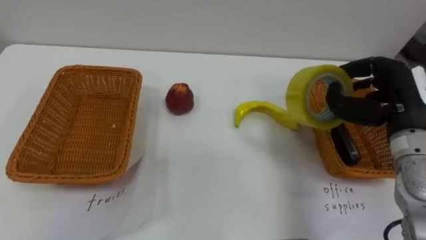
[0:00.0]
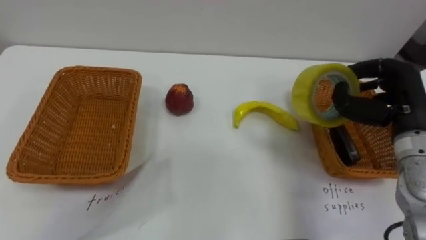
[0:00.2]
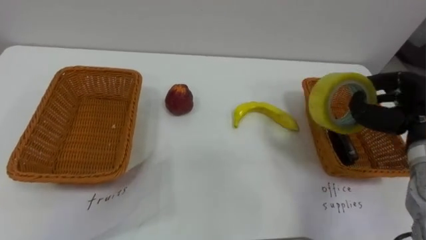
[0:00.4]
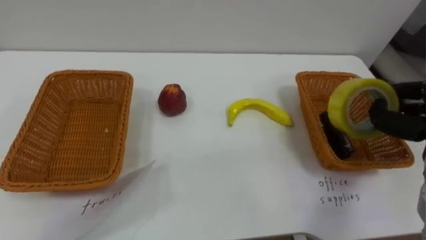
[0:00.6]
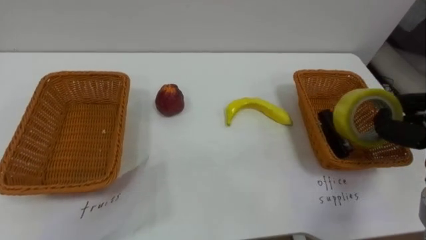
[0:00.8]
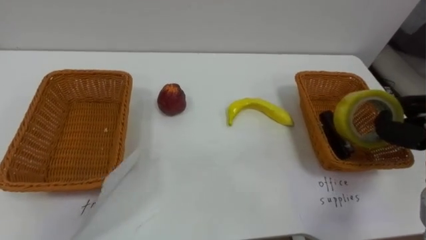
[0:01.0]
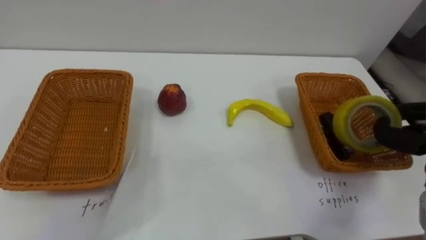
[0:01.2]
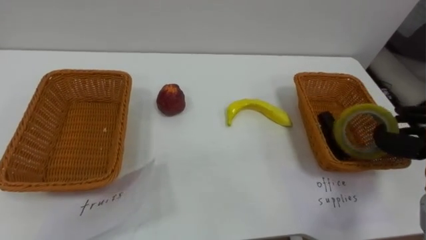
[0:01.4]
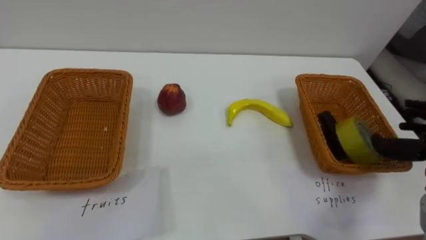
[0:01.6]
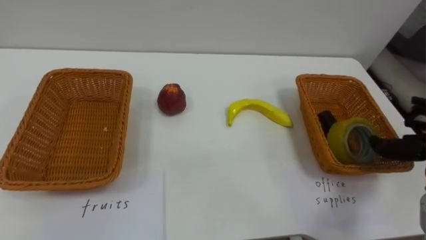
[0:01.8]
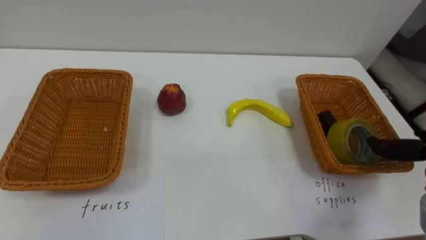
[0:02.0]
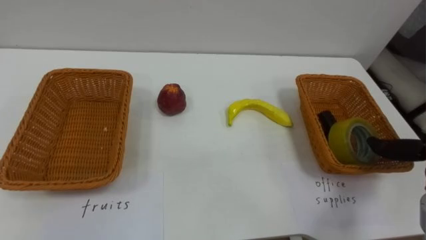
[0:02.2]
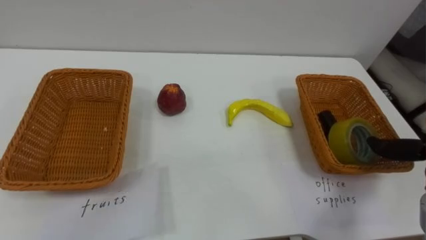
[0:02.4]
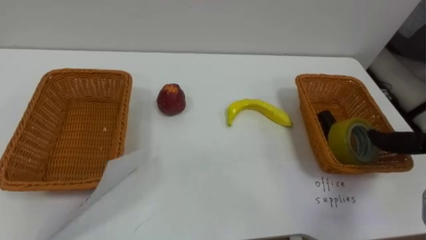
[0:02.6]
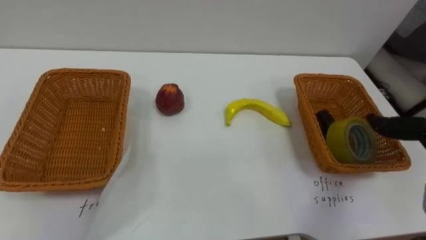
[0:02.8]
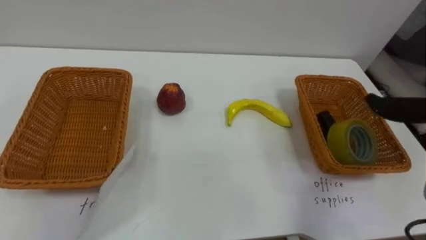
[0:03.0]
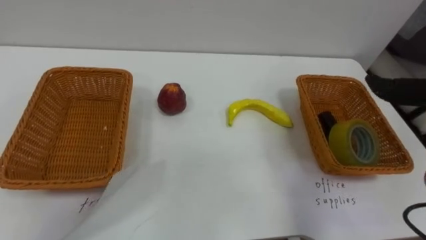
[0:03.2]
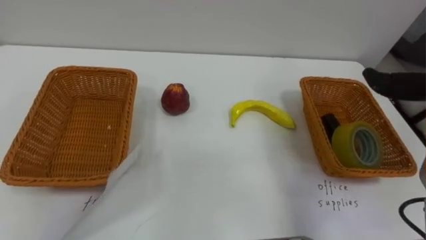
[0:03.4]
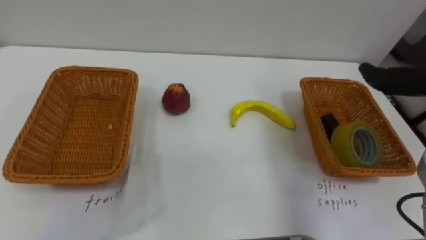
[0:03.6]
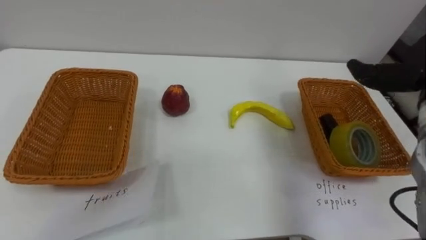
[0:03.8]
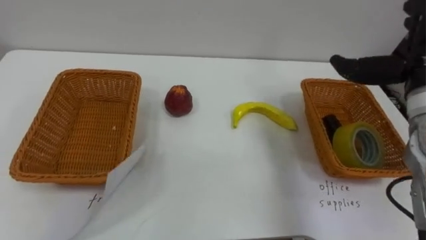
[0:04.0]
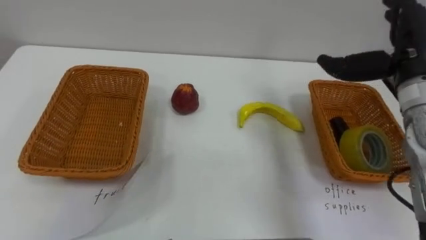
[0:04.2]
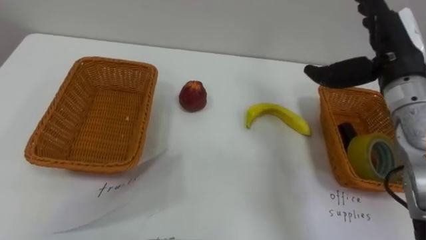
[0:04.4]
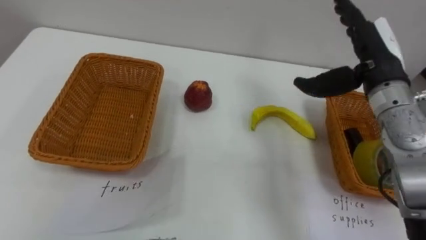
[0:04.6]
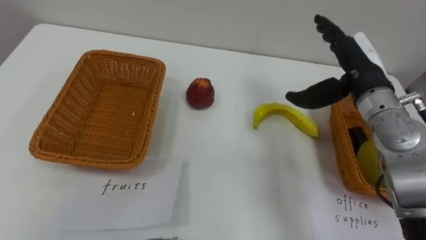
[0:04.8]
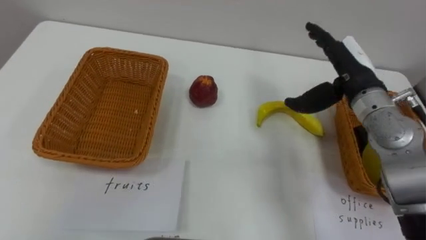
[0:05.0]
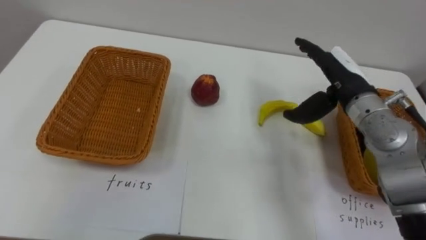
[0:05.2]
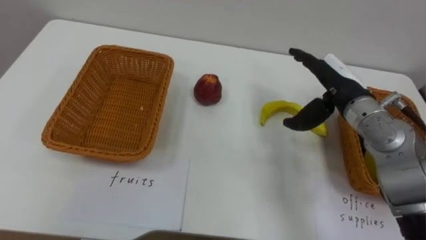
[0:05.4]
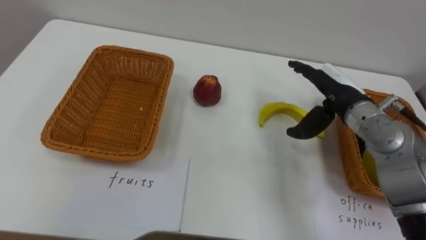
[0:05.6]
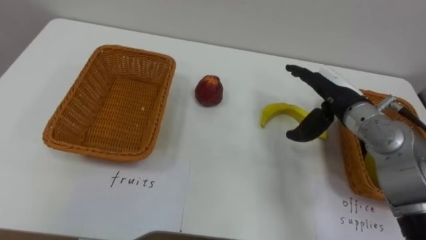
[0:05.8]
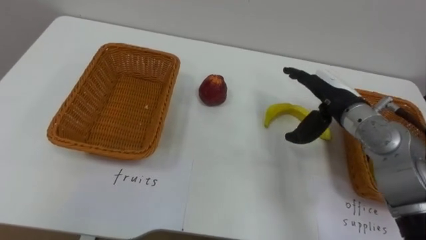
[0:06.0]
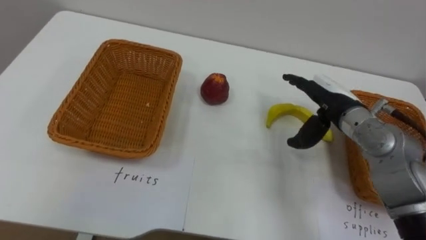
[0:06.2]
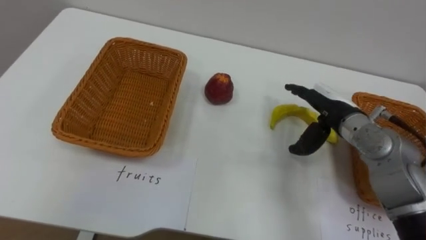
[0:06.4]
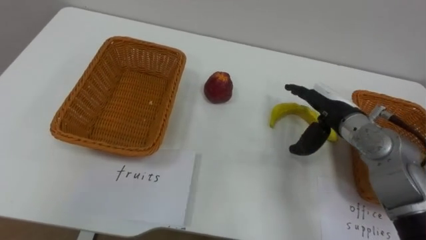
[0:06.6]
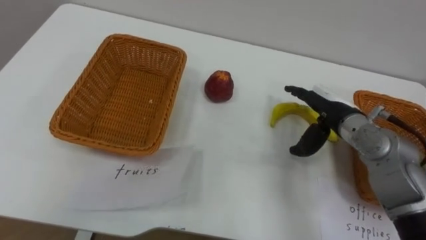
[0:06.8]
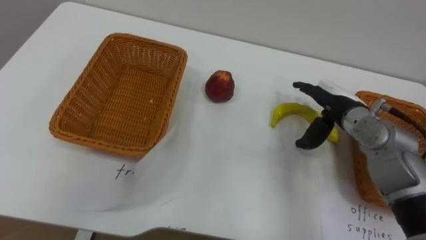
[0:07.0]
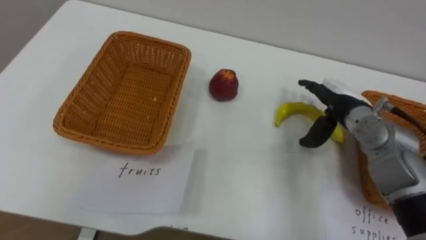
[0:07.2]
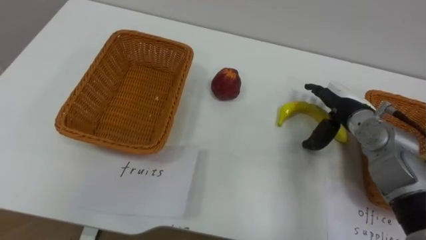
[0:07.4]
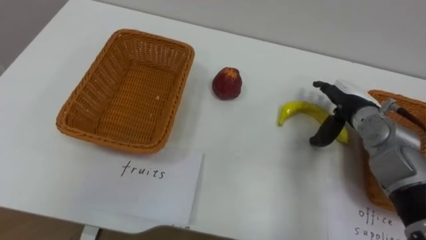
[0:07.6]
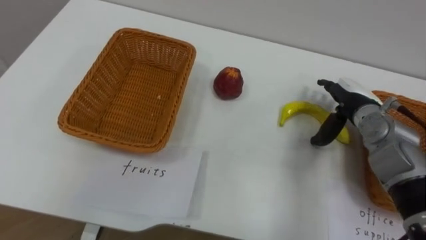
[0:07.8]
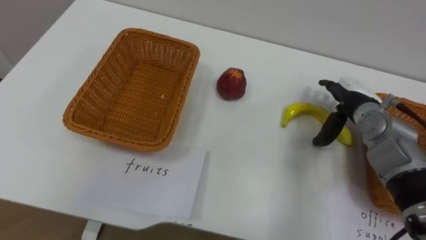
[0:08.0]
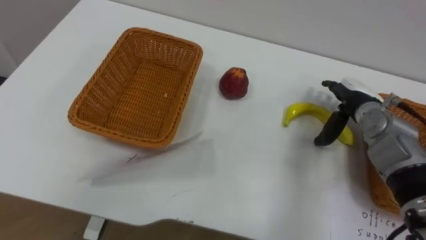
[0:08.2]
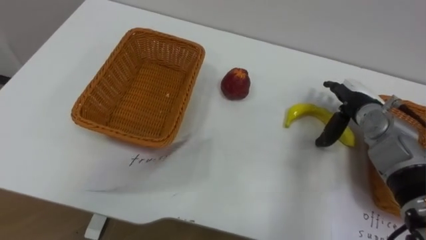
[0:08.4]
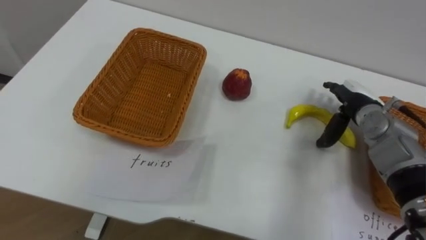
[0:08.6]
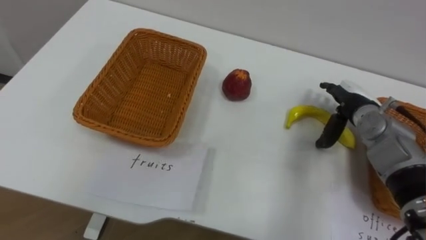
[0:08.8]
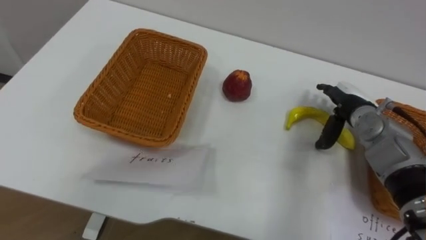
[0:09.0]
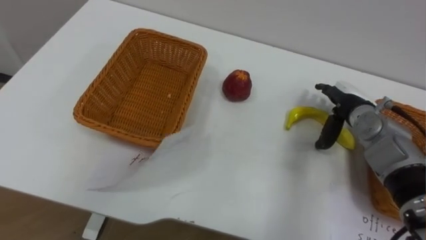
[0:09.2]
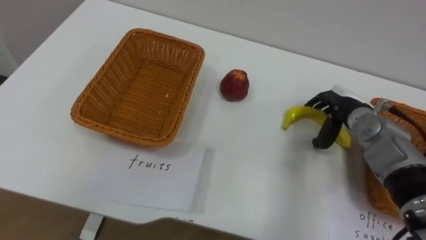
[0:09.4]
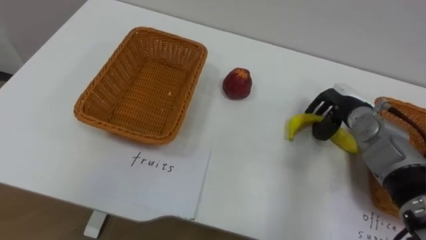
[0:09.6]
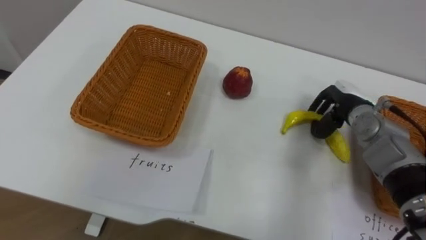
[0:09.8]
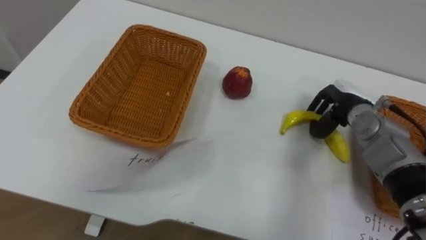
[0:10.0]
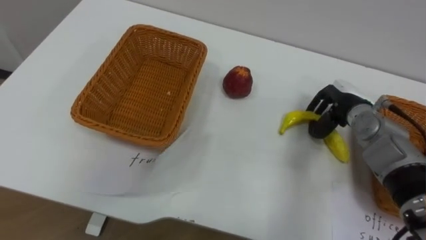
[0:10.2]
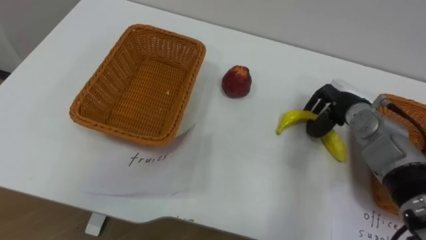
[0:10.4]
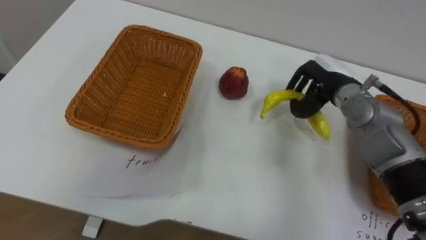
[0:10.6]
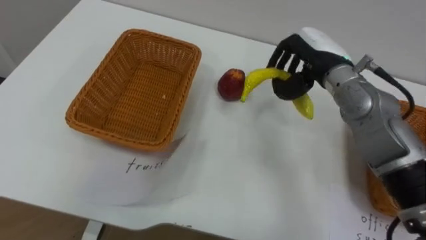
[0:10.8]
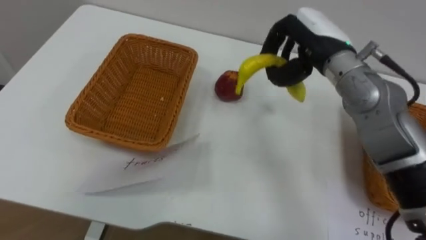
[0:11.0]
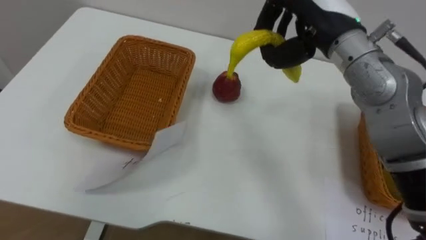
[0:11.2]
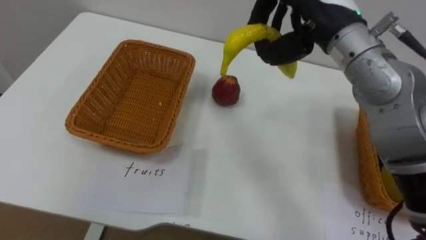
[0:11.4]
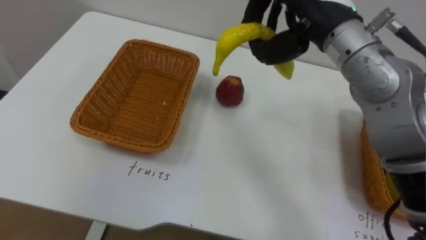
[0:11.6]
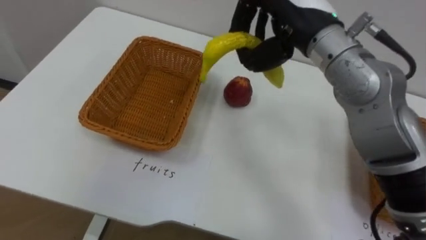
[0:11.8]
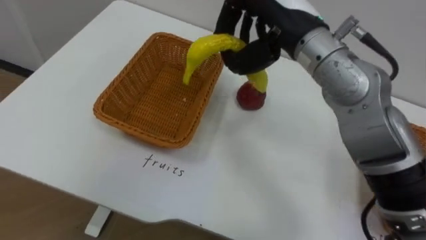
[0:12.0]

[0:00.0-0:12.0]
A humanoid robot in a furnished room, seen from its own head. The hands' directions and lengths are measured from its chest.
Task of the whole recording: Separate the items on the table and place them into the two baskets.
0:04.4 to 0:06.0: The right hand shifts some 10 cm downward.
0:06.0 to 0:07.6: The right hand shifts by some 5 cm.
0:09.0 to 0:10.4: The right hand closes.
0:10.4 to 0:12.0: The right hand travels upward and to the left by approximately 25 cm.

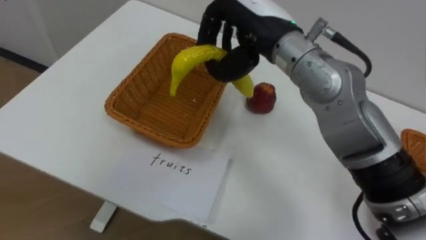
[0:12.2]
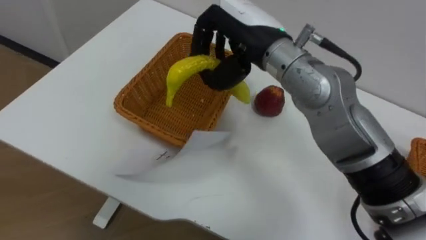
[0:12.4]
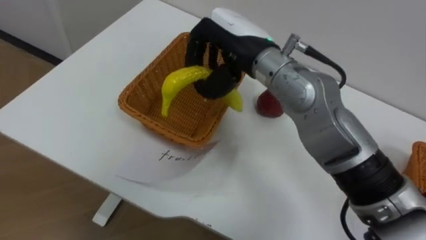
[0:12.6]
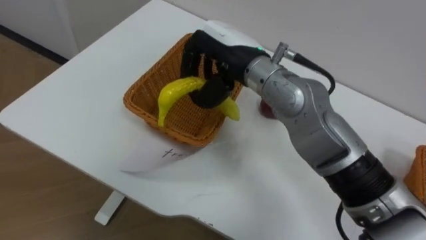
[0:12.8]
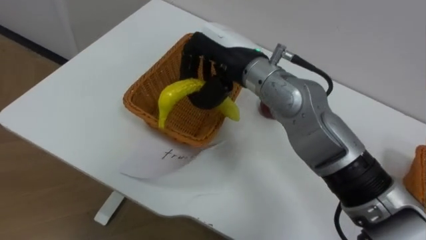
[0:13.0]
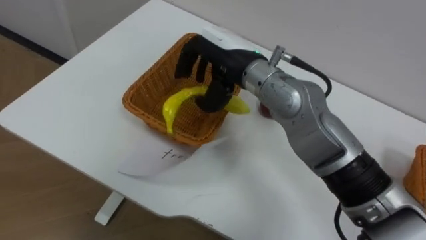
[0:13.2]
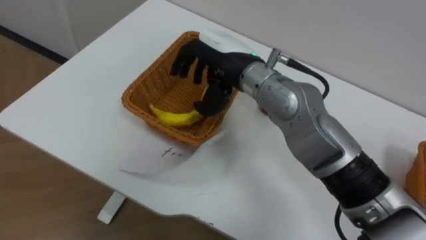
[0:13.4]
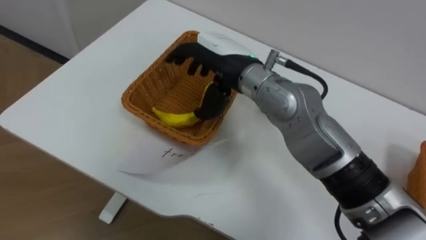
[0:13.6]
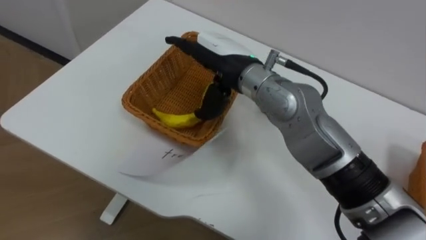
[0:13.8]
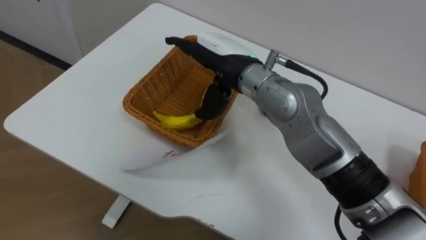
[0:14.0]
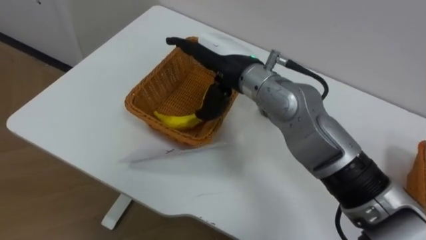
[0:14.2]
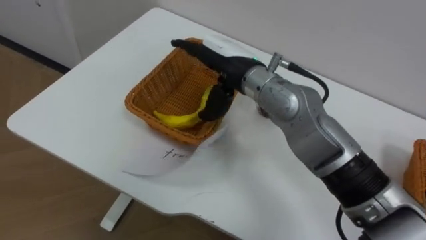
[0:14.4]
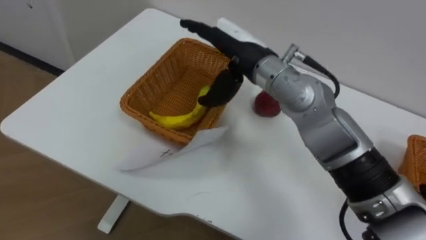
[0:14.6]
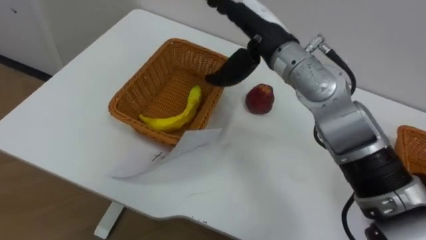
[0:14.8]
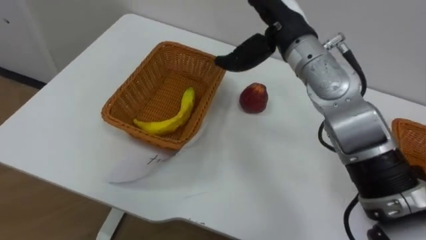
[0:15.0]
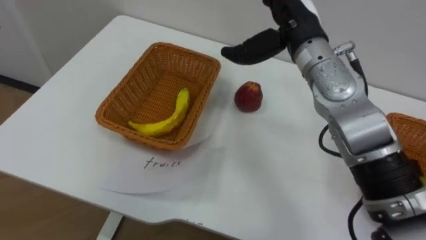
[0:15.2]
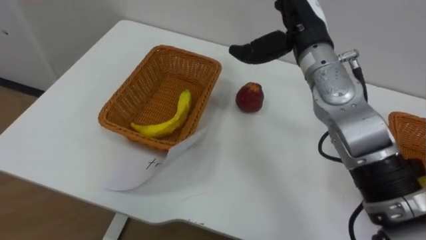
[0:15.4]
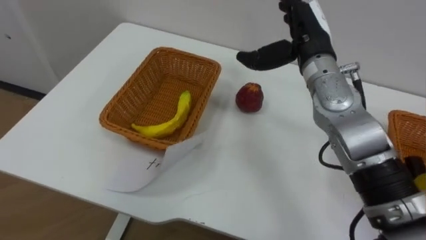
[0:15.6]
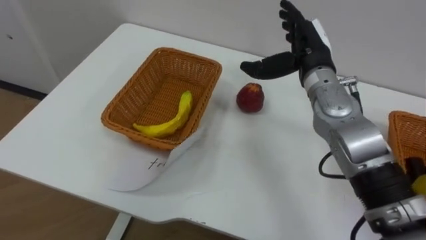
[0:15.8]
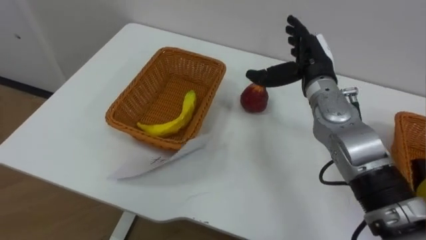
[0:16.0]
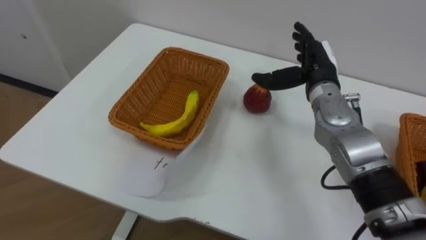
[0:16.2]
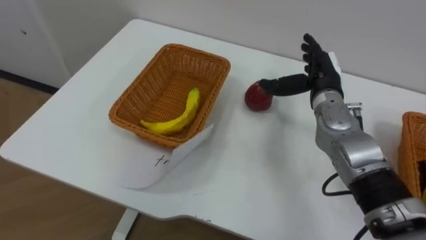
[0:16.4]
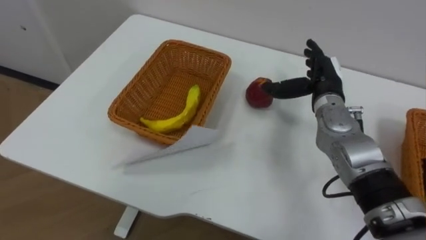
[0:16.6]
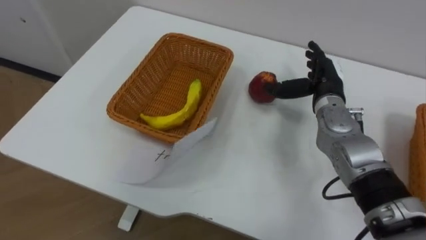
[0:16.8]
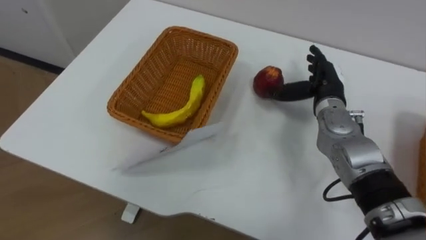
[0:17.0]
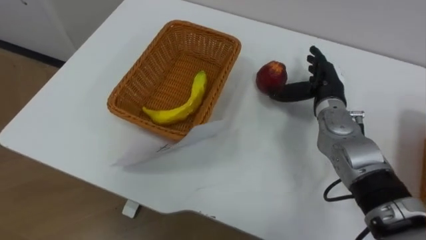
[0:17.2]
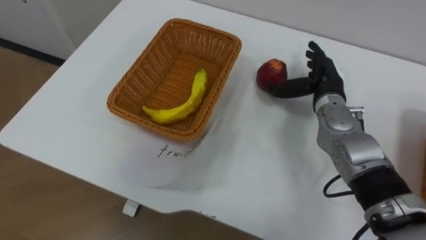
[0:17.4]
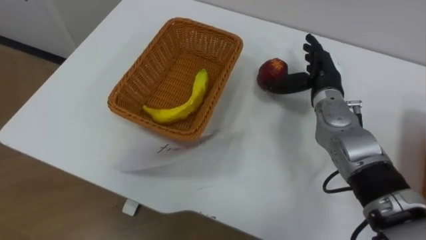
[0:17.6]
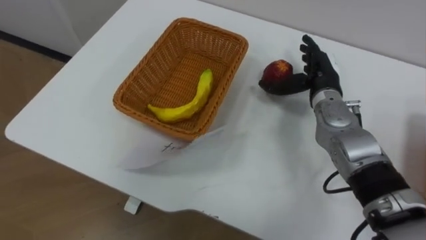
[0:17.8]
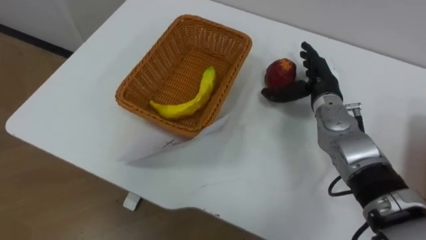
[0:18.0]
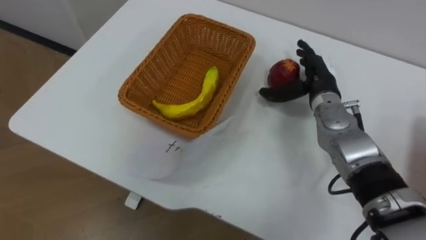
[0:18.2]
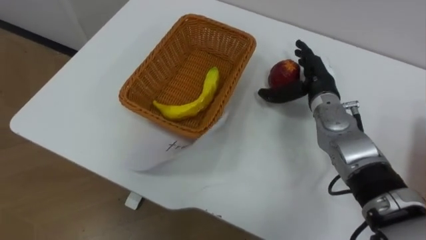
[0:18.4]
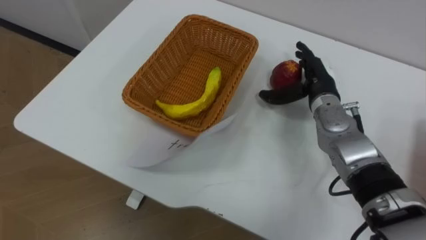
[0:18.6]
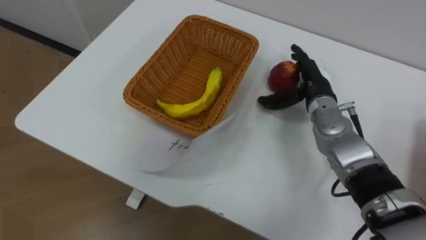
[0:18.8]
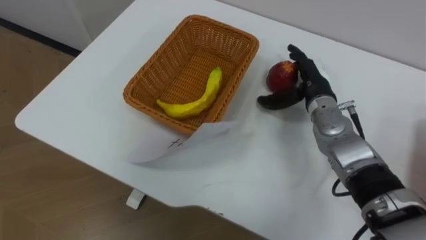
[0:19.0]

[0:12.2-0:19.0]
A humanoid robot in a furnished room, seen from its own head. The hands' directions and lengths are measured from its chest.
Task of the whole recording: Separate the items on the table and place them into the two baskets.
0:12.2 to 0:13.6: The right hand moves downward, roughly 5 cm, and opens.
0:13.6 to 0:15.0: The right hand shifts approximately 10 cm to the right.
0:15.0 to 0:16.2: The right hand moves downward and to the right, approximately 15 cm.
